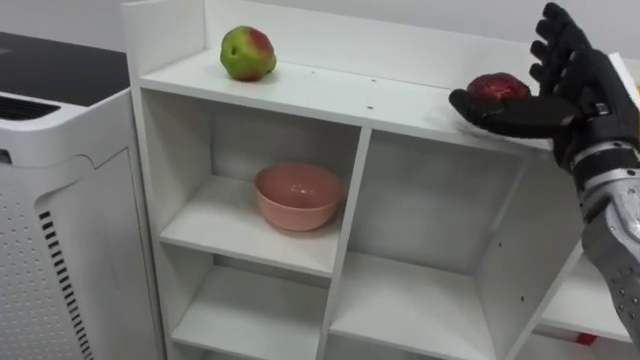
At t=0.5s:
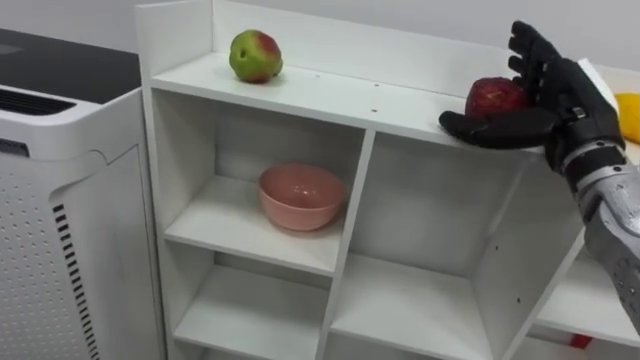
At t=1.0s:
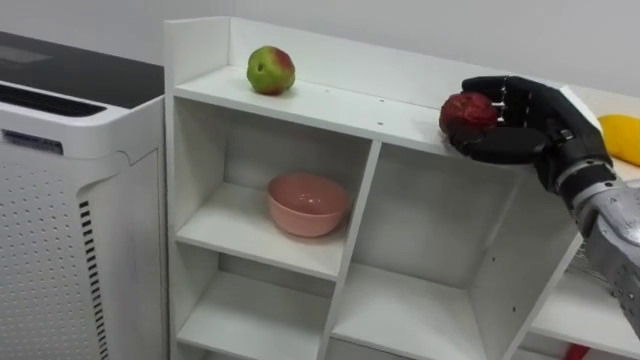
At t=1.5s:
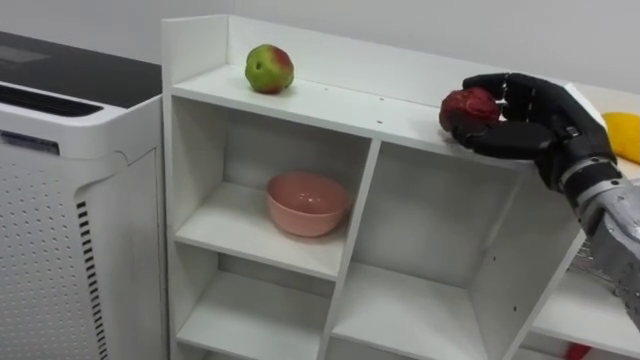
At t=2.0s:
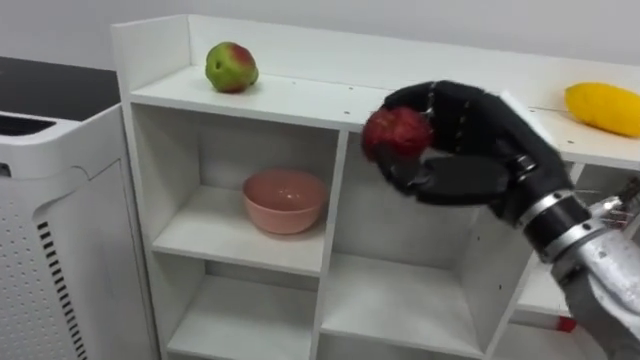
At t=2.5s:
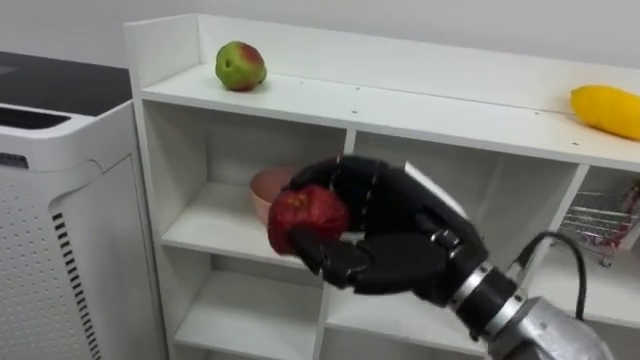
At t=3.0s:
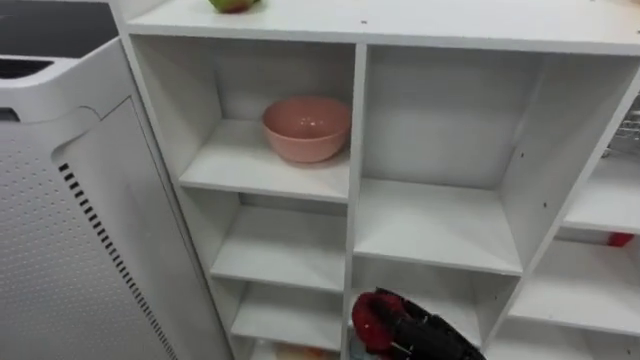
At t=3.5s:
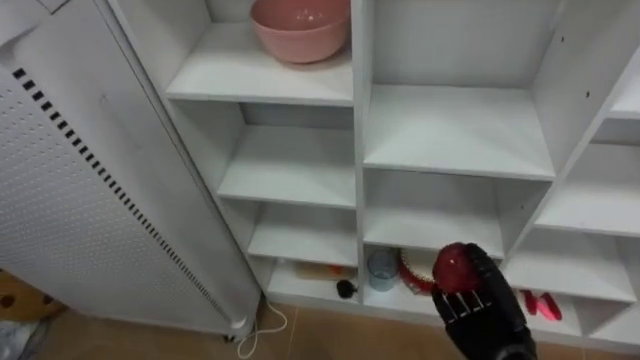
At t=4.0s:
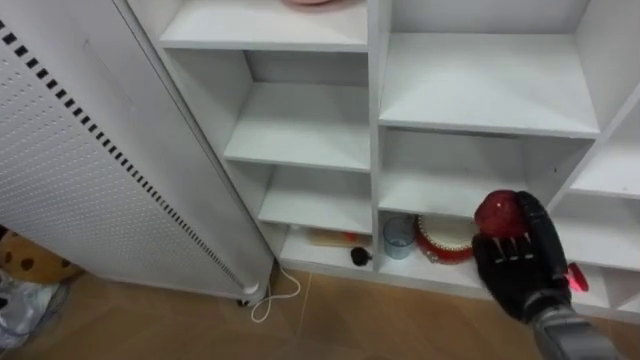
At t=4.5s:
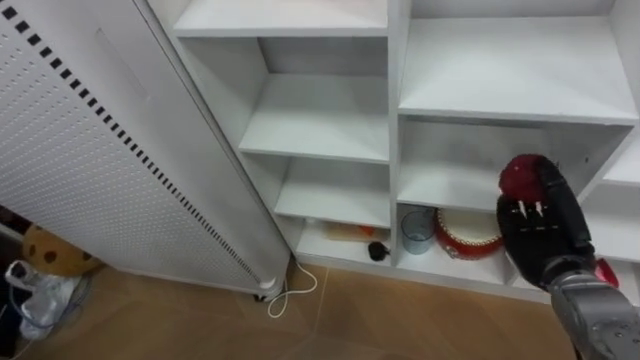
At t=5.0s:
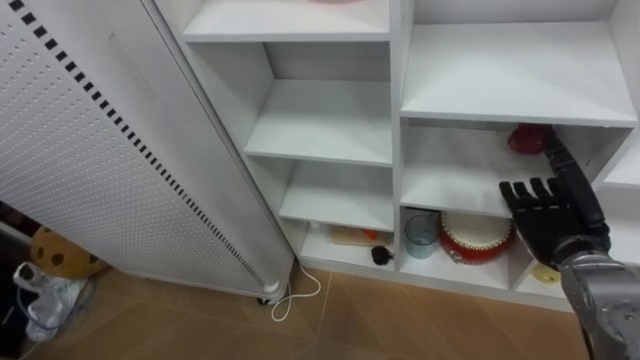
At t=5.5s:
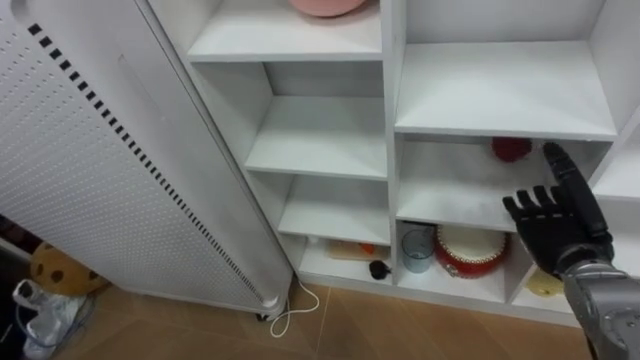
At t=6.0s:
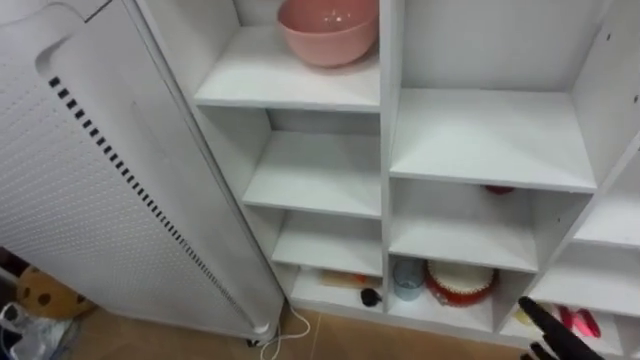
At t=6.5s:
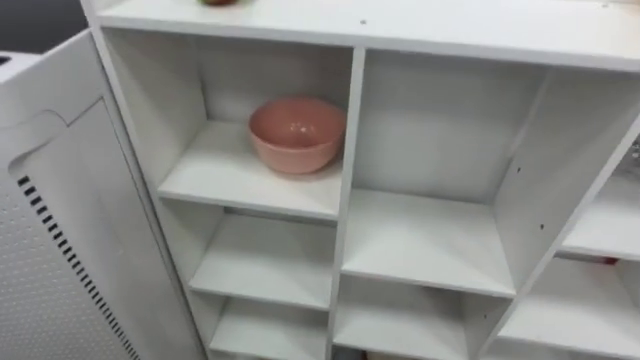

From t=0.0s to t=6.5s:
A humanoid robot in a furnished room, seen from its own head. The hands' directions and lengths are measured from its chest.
Task of the whole recording: Put the apple in the cell in the second column from the left and the second row from the top.
From t=0.0s to t=2.0s: The right hand heads to the left, covering some 10 cm, and closes up.
From t=2.0s to t=4.5s: The right hand shifts roughly 20 cm downward and to the right.

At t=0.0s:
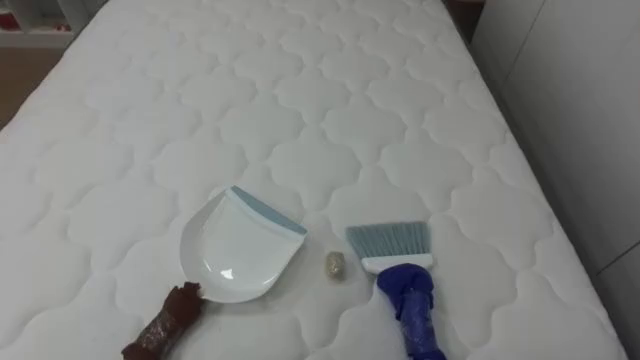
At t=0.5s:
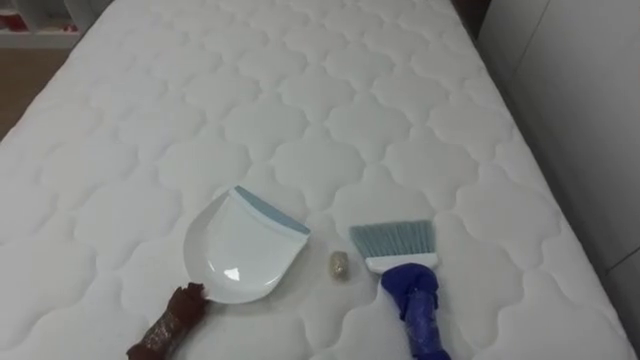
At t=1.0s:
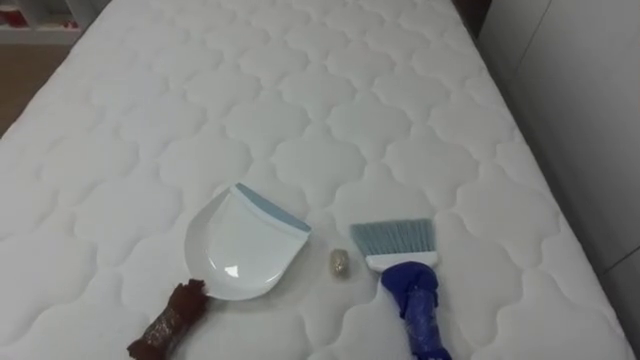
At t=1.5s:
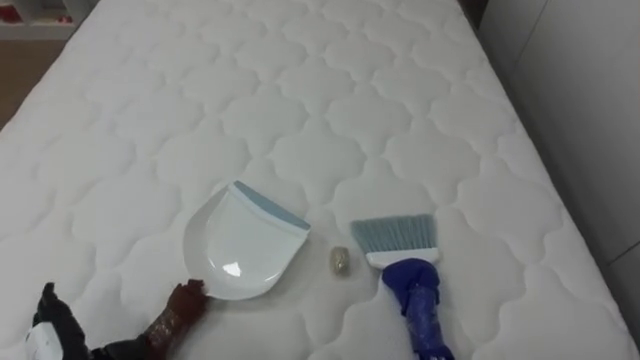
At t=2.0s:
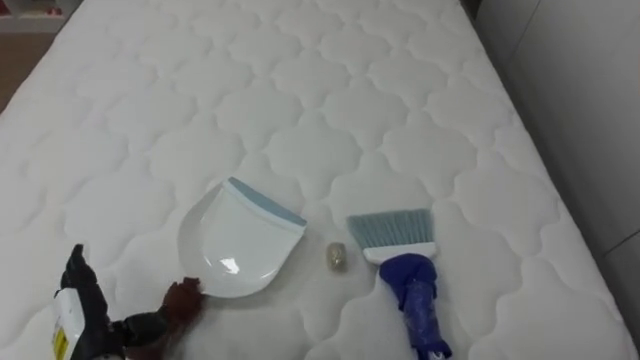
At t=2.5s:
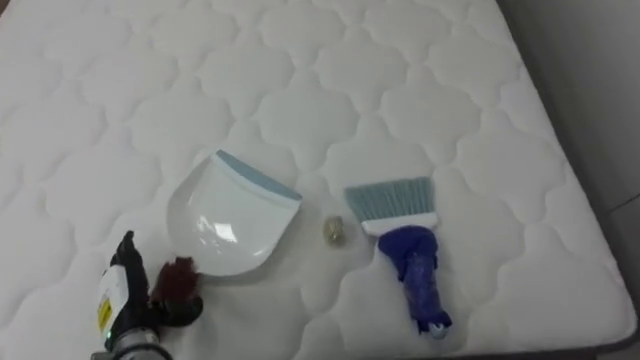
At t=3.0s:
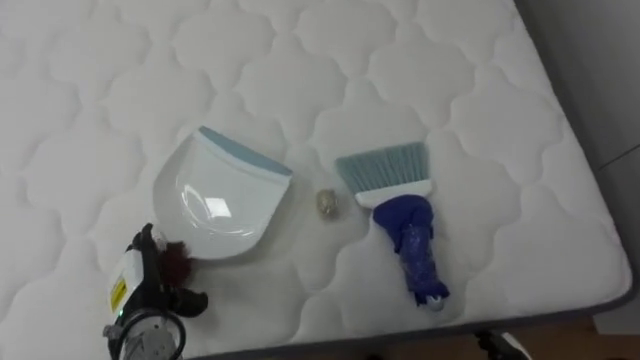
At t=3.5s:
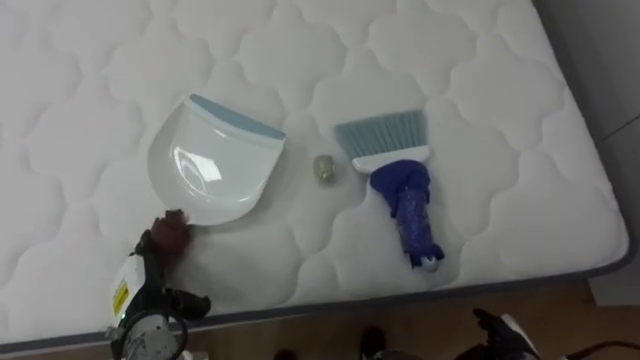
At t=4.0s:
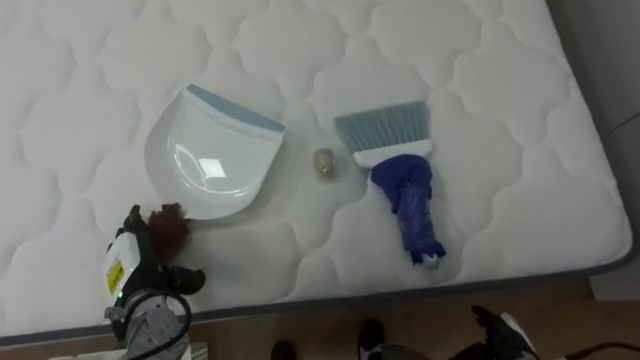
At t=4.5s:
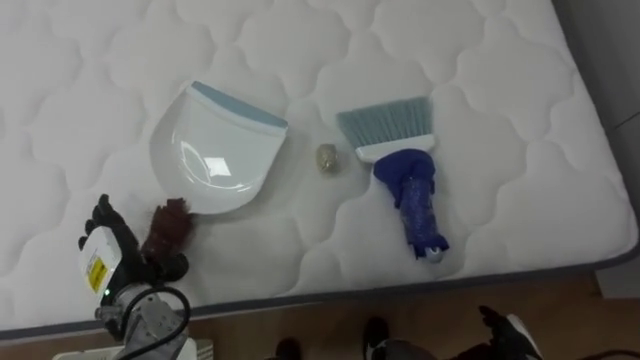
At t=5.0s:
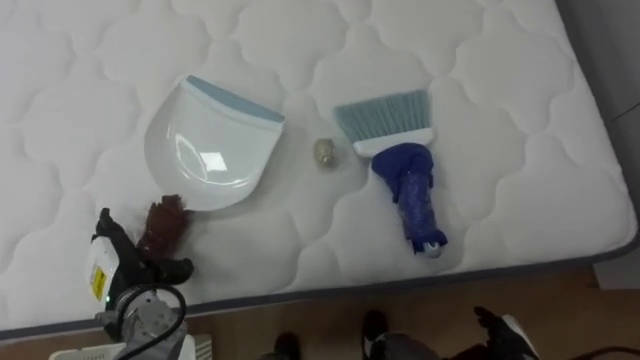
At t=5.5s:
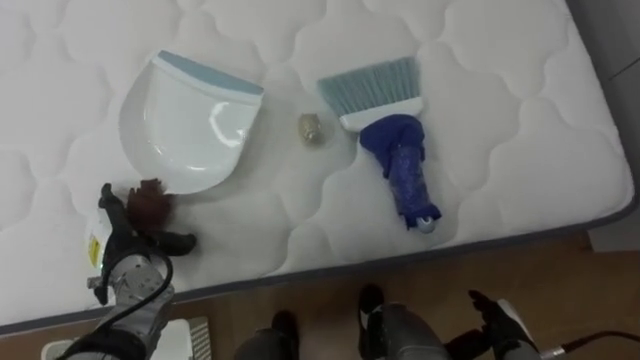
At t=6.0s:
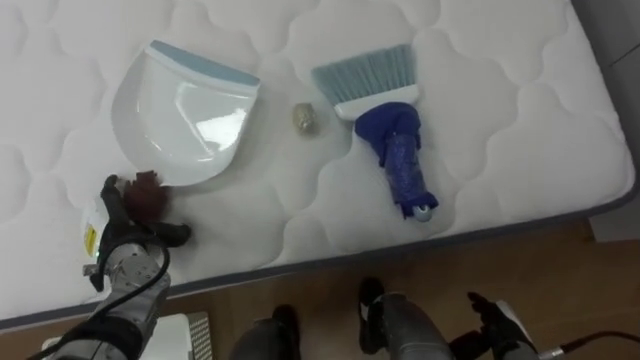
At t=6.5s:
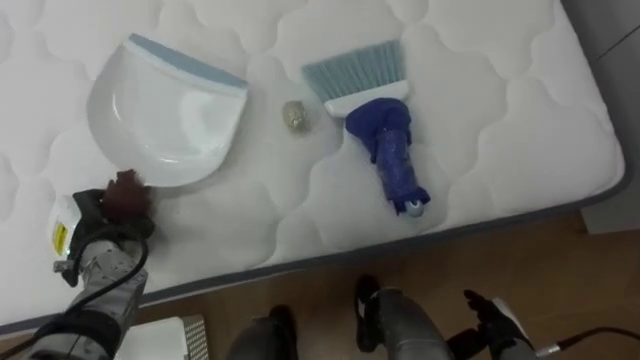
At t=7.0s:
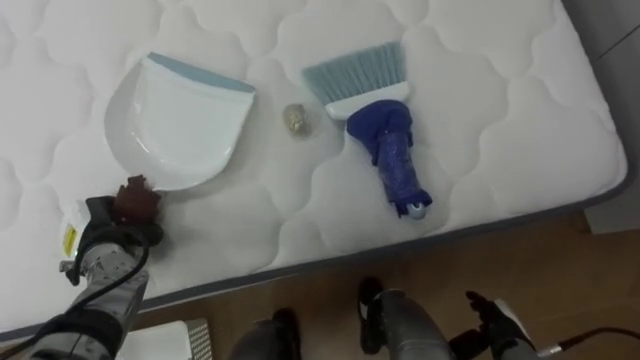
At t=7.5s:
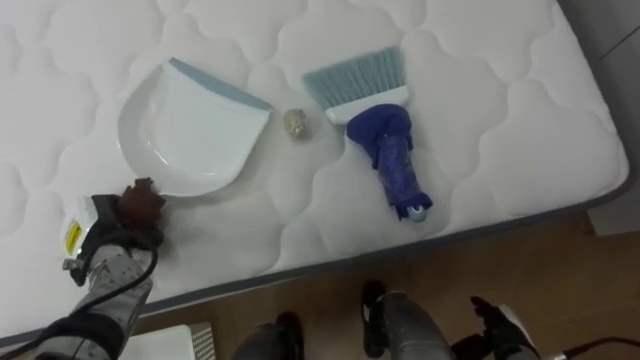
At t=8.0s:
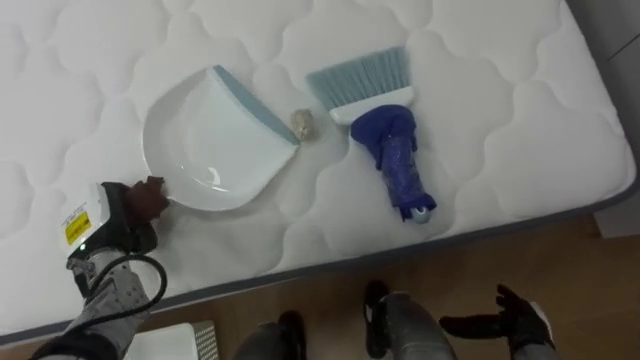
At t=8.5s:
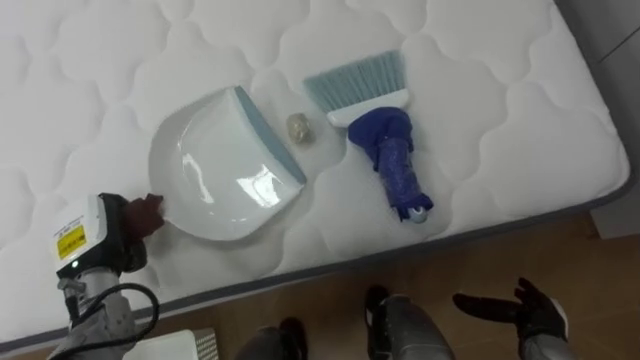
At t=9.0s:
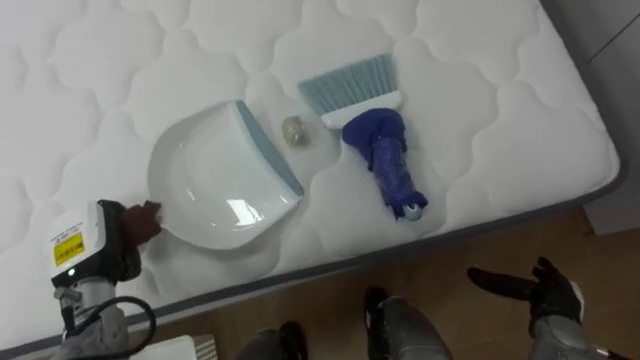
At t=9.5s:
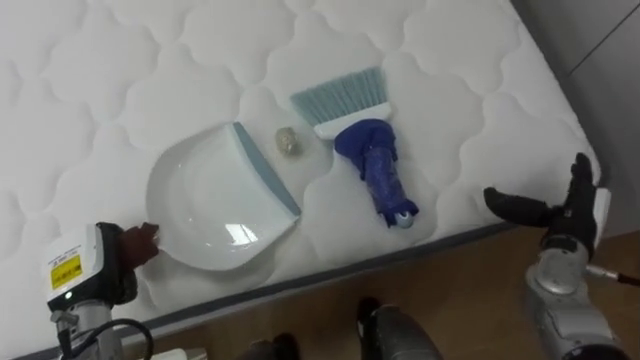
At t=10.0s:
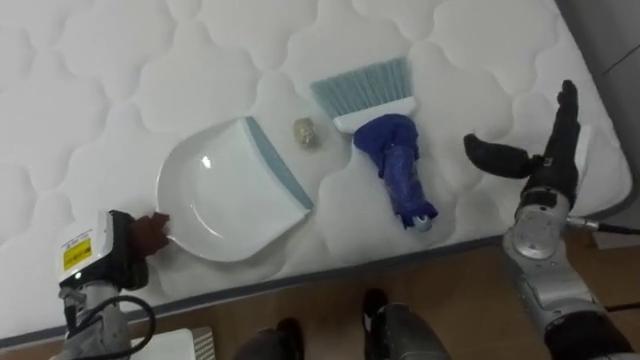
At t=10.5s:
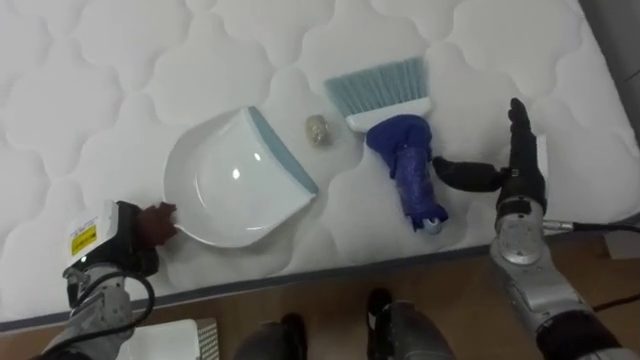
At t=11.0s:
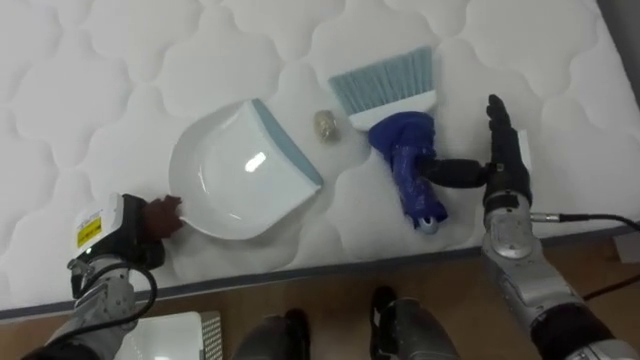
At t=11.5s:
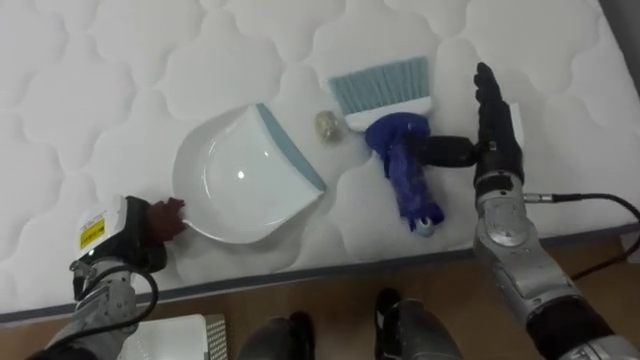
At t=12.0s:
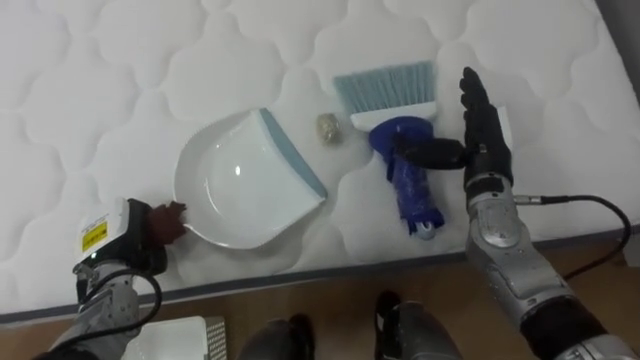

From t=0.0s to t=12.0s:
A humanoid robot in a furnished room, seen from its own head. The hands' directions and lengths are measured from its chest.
Task of the whole recording: Pick up the brush on your right and the dustpan on your left. Use the brush to sweep the crumpled paper on the bed into the dustpan, then turn left and empty it into the basket.
From t=2.0s to t=4.0s: The left hand shifts about 10 cm forward.
From t=4.0s to t=6.0s: The left hand shifts by some 5 cm.
From t=6.0s to t=8.0s: The left hand closes.
From t=8.0s to t=10.0s: The right hand is displaced upward and forward by about 25 cm.
From t=10.0s to t=12.0s: The right hand shifts approximately 10 cm to the left.

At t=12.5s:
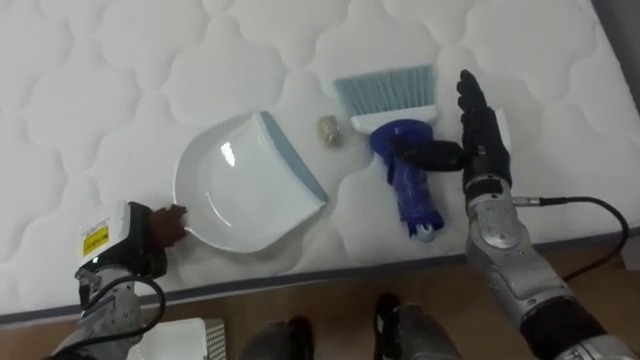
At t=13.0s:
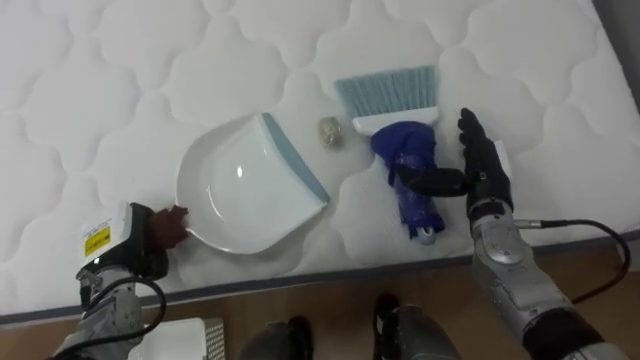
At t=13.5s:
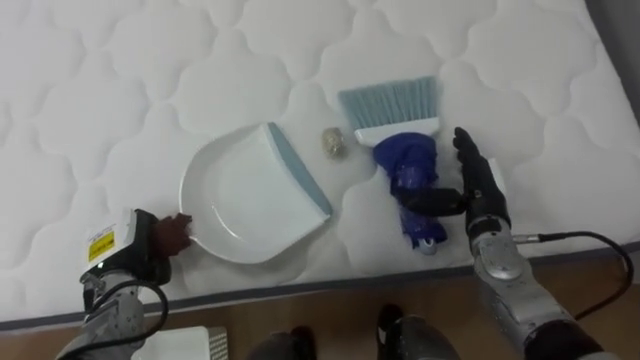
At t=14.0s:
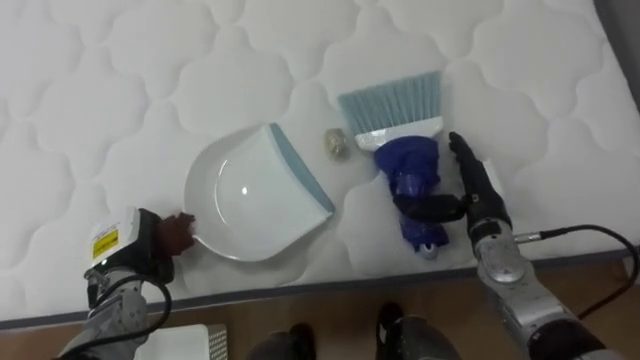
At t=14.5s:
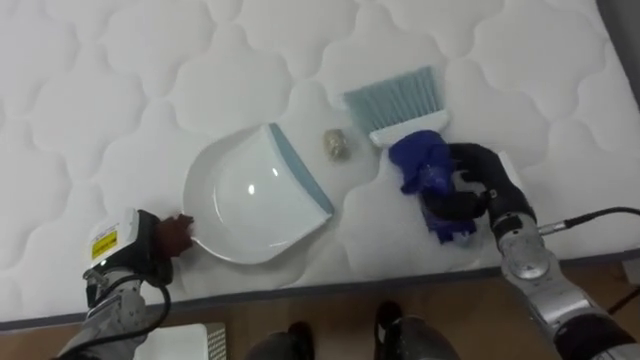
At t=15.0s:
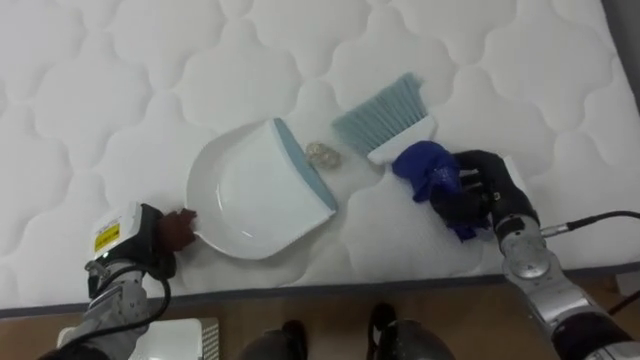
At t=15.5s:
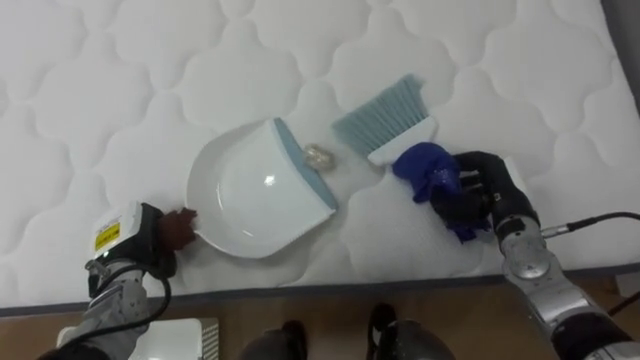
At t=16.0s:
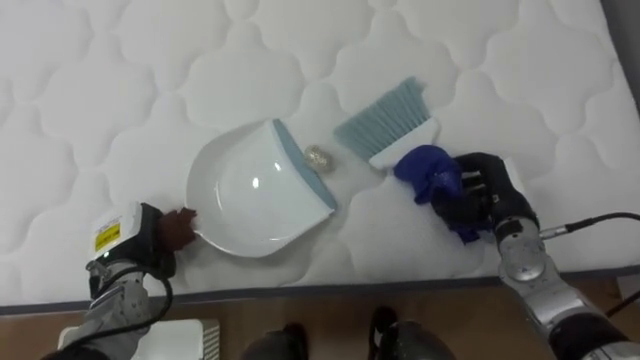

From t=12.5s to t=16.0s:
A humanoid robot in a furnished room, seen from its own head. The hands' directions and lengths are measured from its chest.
Task of the whole recording: Pick up the brush on your right and the dustpan on your left. Use the brush to sweep the crumpled paper on the bed into the dustpan, then turn left and empty it into the basket.
From t=12.5s to t=14.5s: The right hand heads downward, covering roughly 10 cm.
